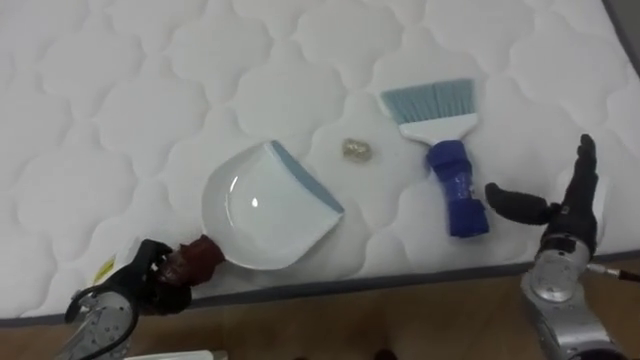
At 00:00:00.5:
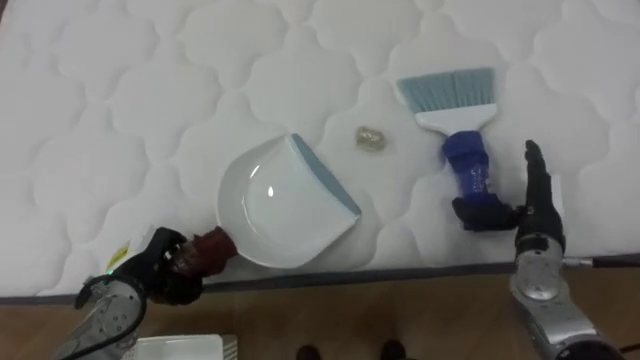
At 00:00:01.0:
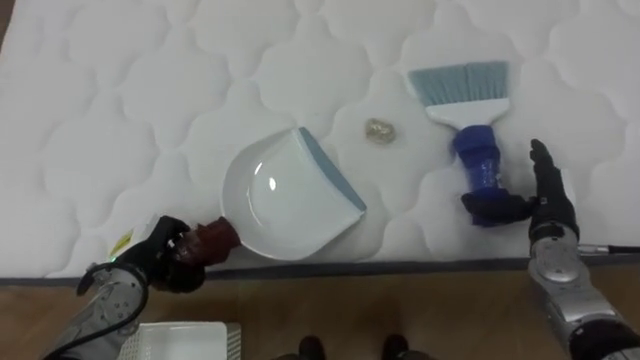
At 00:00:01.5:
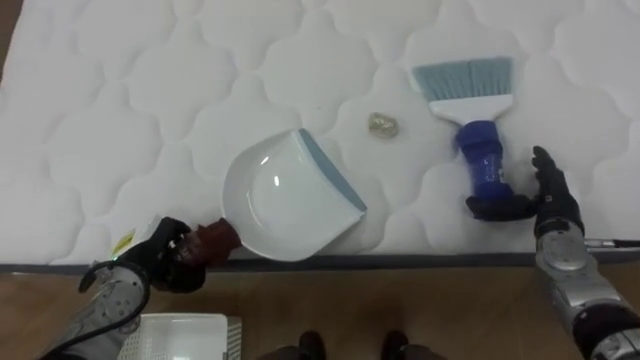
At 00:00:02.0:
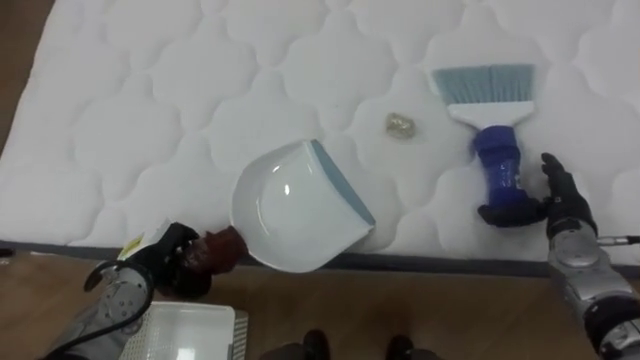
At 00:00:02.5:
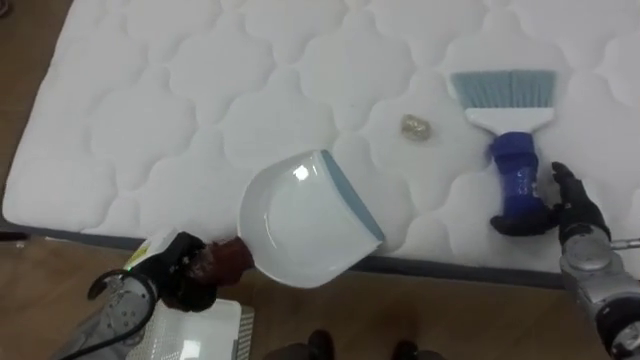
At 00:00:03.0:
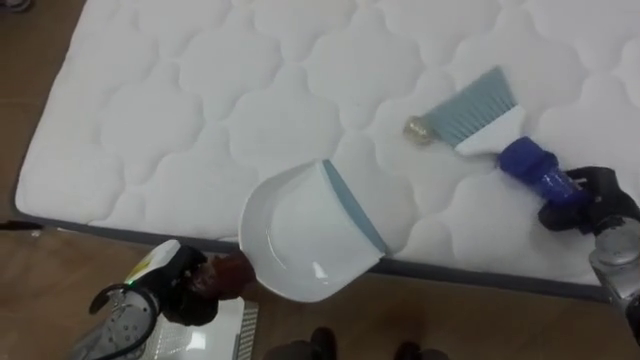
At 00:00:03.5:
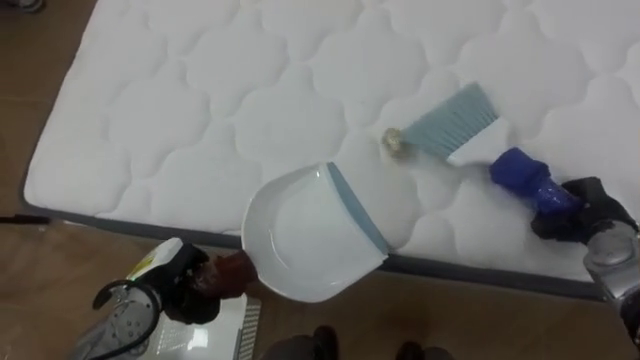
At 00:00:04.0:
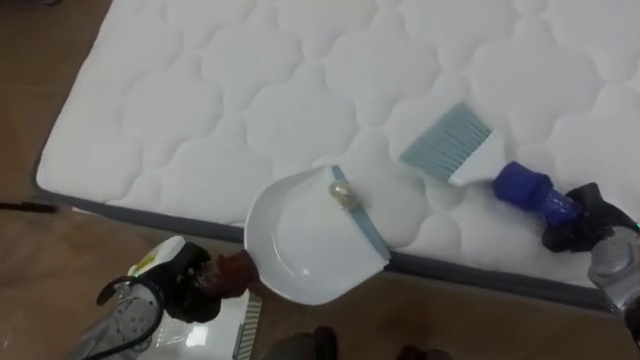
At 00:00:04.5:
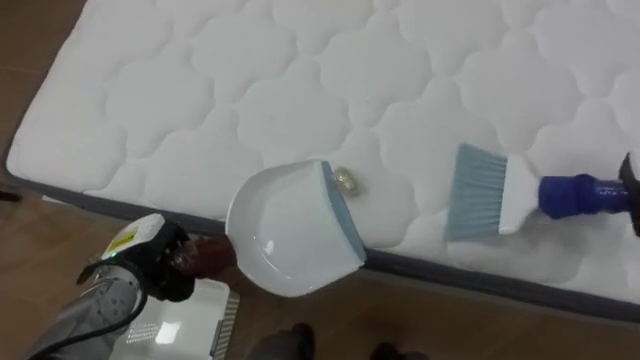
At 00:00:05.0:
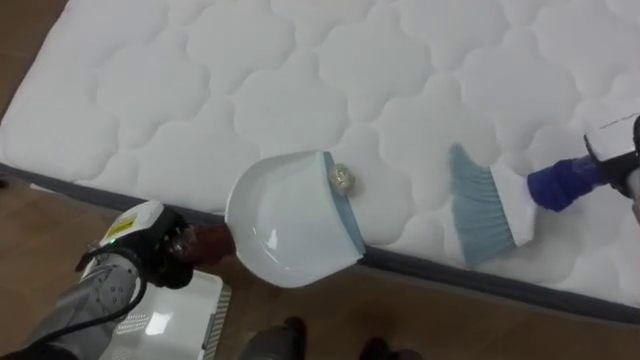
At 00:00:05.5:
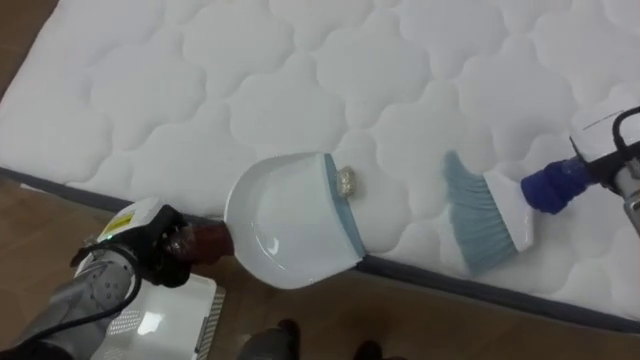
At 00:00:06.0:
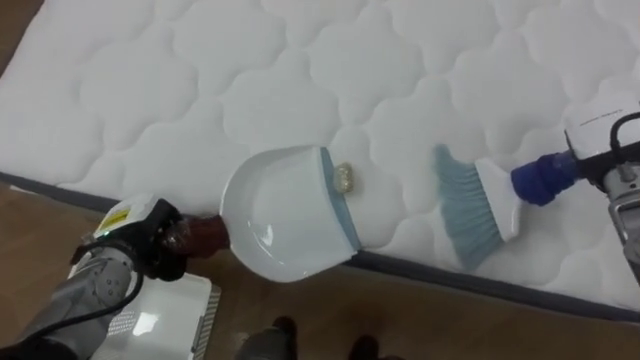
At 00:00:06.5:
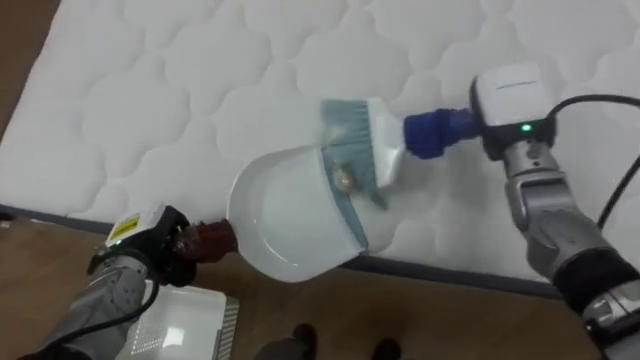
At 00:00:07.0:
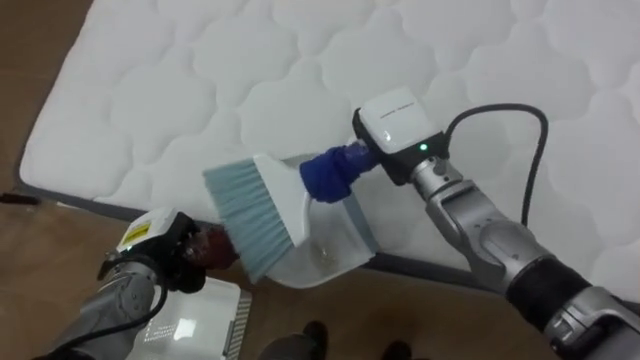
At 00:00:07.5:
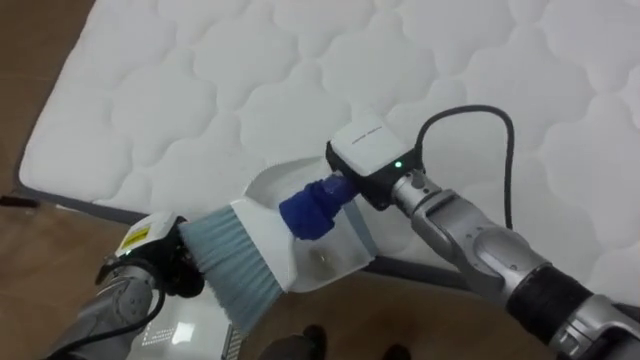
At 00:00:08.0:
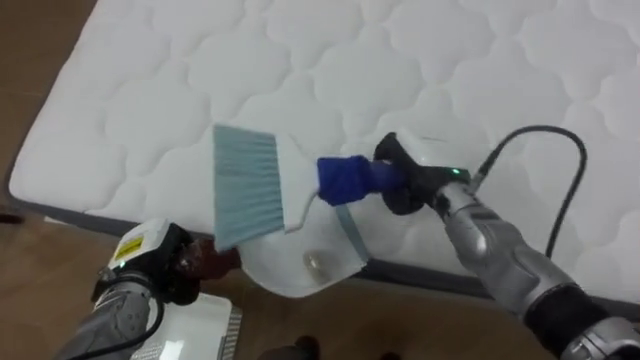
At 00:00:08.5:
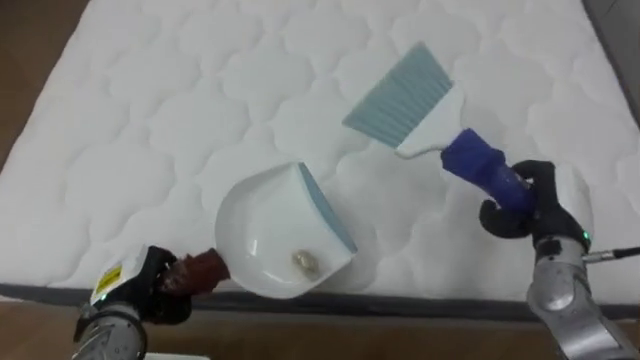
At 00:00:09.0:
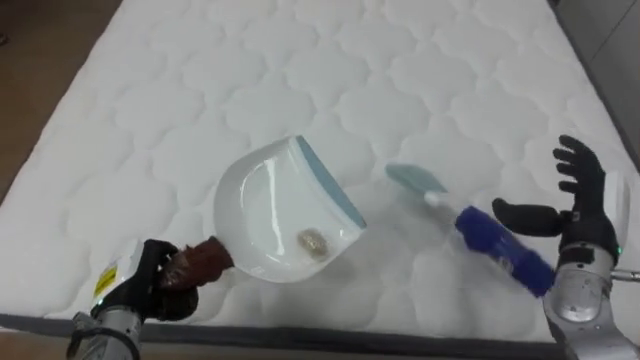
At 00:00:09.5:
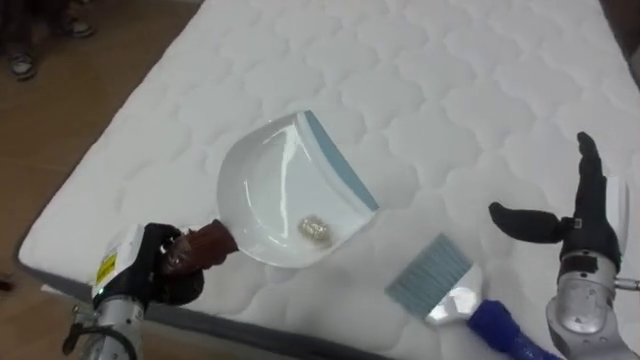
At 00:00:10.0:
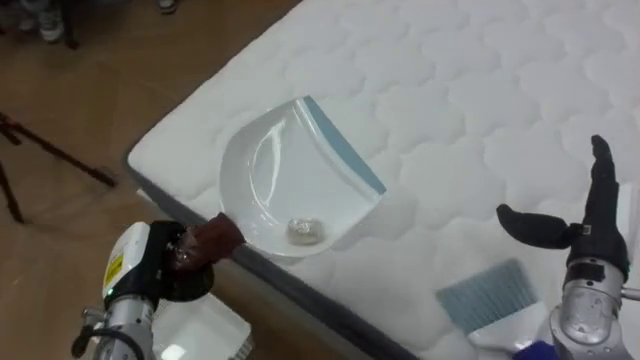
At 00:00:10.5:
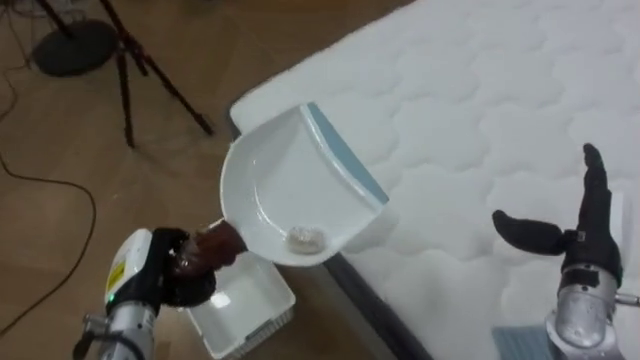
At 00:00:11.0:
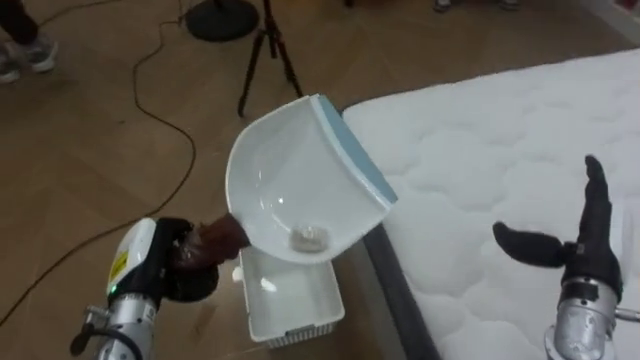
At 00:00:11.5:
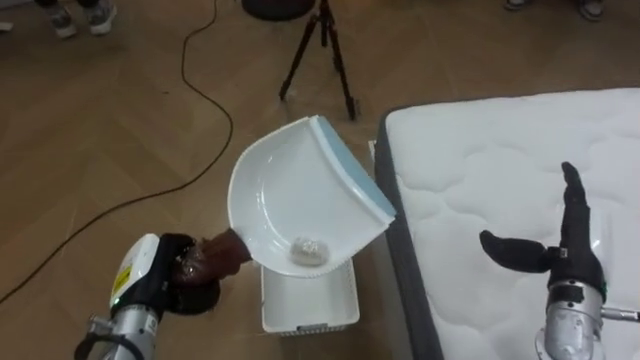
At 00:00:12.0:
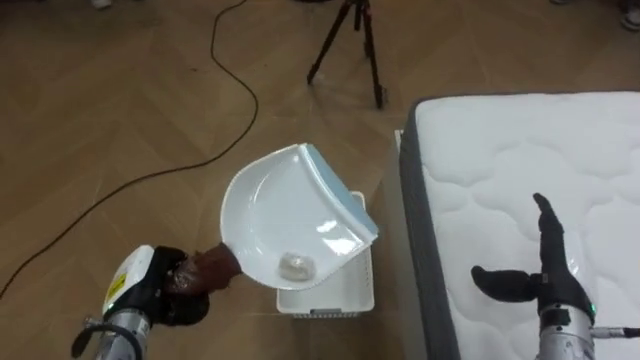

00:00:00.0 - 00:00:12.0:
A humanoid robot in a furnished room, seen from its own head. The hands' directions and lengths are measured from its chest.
Task of the whole recording: Pick up the brush on your right and the dustpan on your left. Use the brush to sweep the crumpled paper on the bed into the dustpan, then turn left and empty it into the basket.
00:00:02.0 - 00:00:04.0: The right hand goes about 5 cm to the right, and closes.
00:00:04.0 - 00:00:06.0: The left hand is displaced upward by about 5 cm.
00:00:06.0 - 00:00:08.0: The right hand is displaced to the left by roughly 25 cm.
00:00:08.0 - 00:00:10.0: The robot faces approximately 25 degrees further to its left. The right hand moves to the right and backward, approximately 25 cm, and opens up; the left hand shifts by approximately 5 cm.
00:00:10.0 - 00:00:12.0: The robot rotates approximately 60 degrees to its left. The right hand heads downward, covering some 5 cm.

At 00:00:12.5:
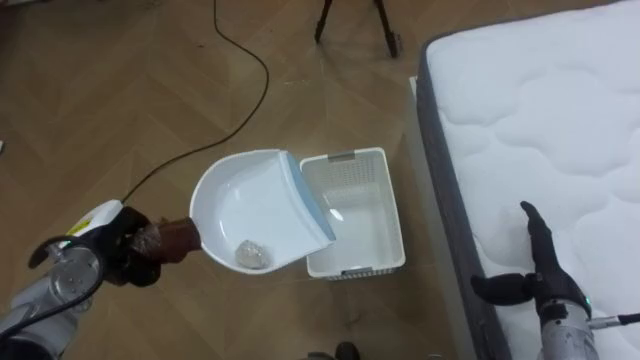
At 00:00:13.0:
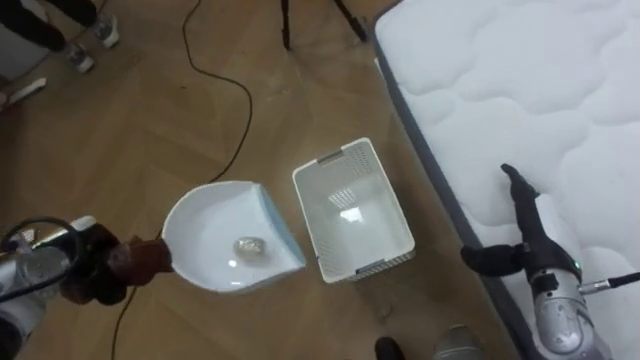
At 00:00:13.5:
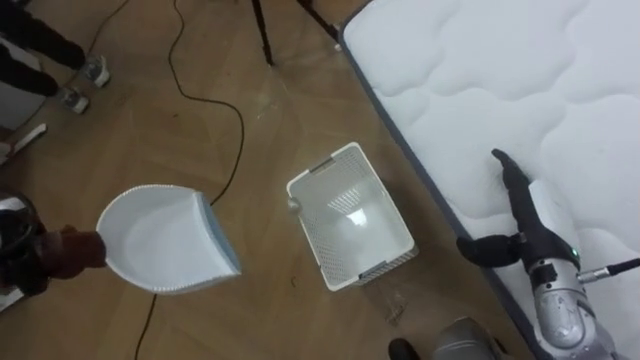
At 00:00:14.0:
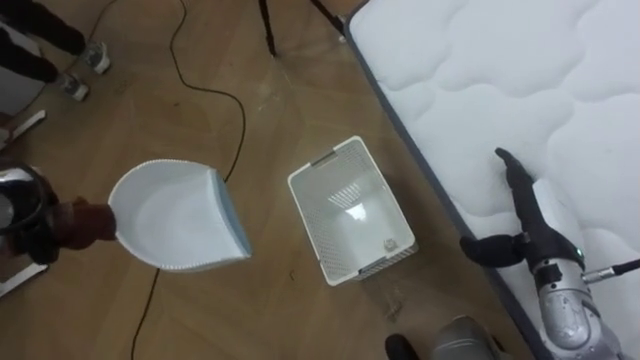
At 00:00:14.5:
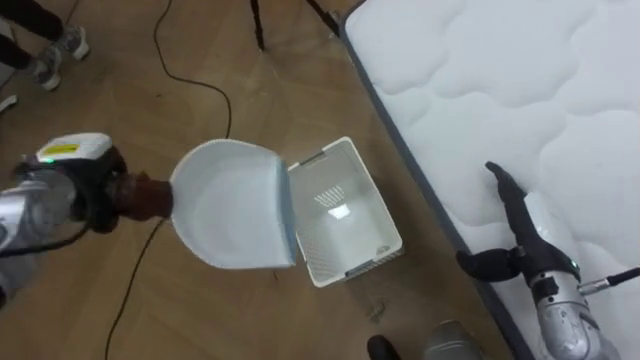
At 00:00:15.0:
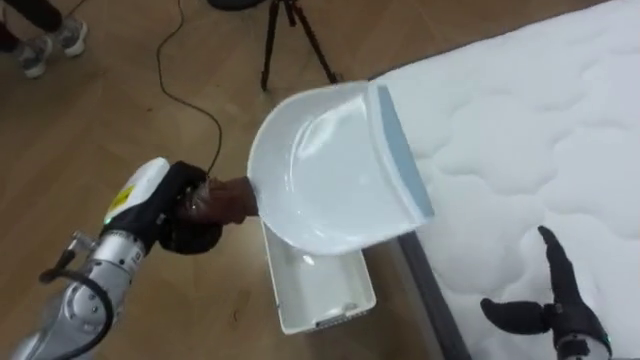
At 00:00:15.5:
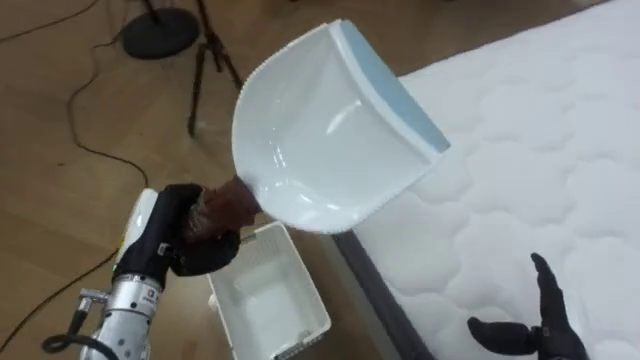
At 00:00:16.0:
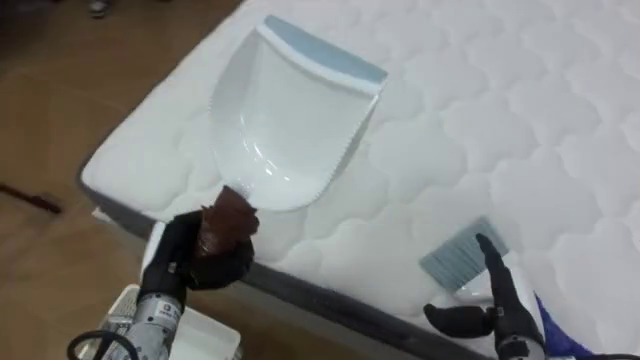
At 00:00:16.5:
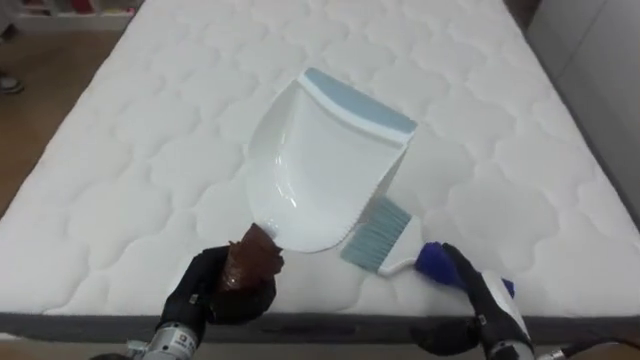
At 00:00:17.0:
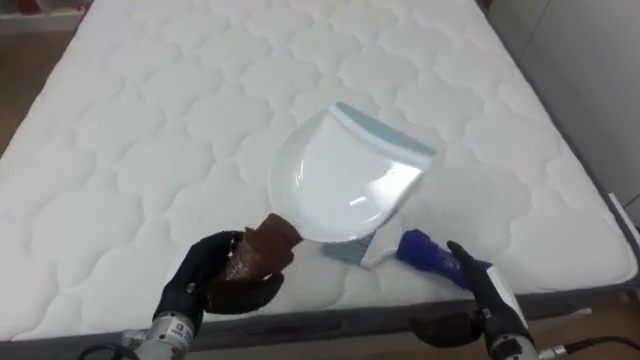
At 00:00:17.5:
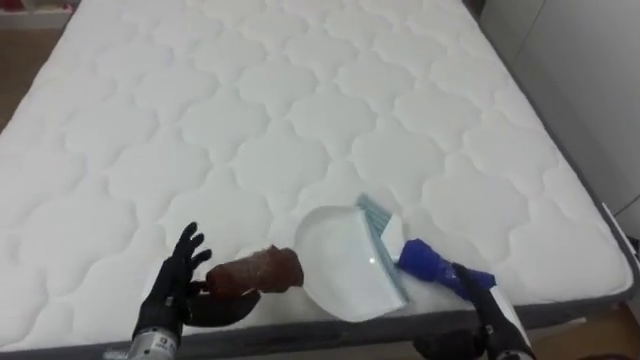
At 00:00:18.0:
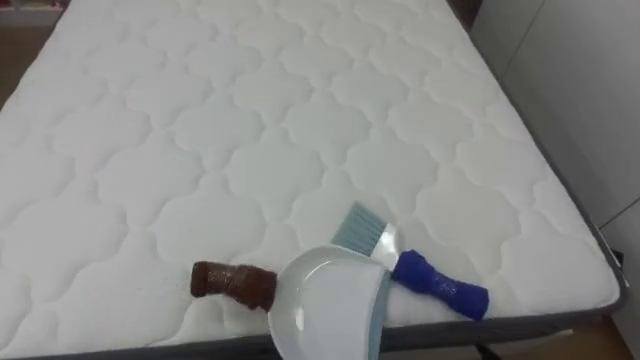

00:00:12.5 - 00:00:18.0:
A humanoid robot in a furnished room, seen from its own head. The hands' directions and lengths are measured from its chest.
Task of the whole recording: Pick up the brush on your right and the dustpan on your left. Use the brush to sweep the crumpled paper on the bed into the dustpan, then turn left and empty it into the basket.
00:00:12.5 - 00:00:14.5: The right hand moves some 5 cm.
00:00:14.5 - 00:00:16.0: The robot turns to its right by roughly 65 degrees. The right hand travels downward and backward by about 10 cm, while the left hand heads to the right, backward and downward, covering some 15 cm.
00:00:16.0 - 00:00:18.0: The robot rotates approximately 30 degrees to its right.

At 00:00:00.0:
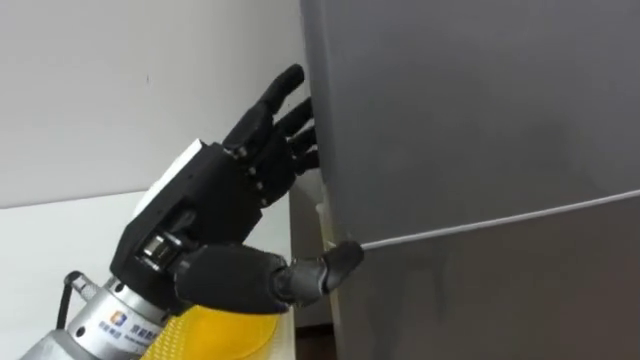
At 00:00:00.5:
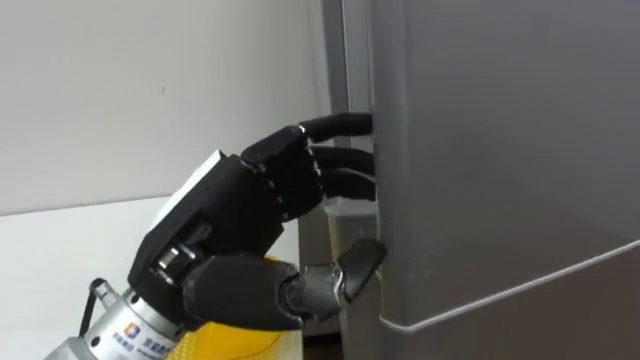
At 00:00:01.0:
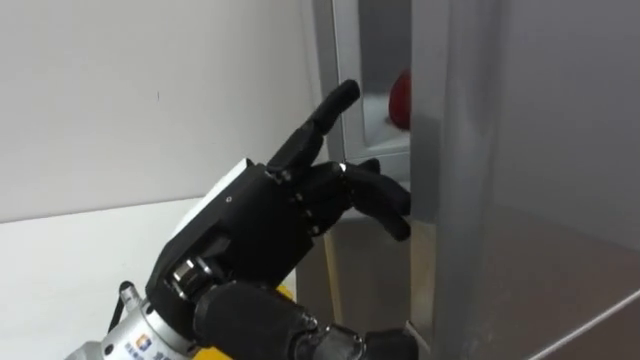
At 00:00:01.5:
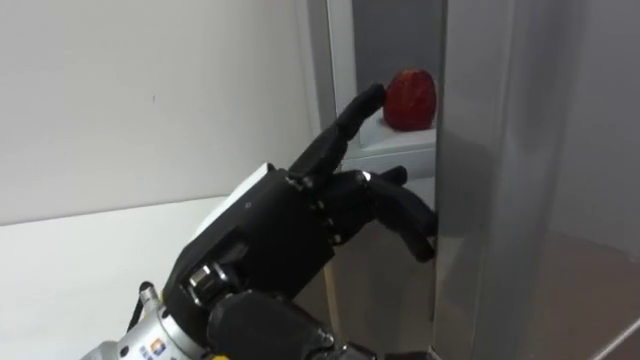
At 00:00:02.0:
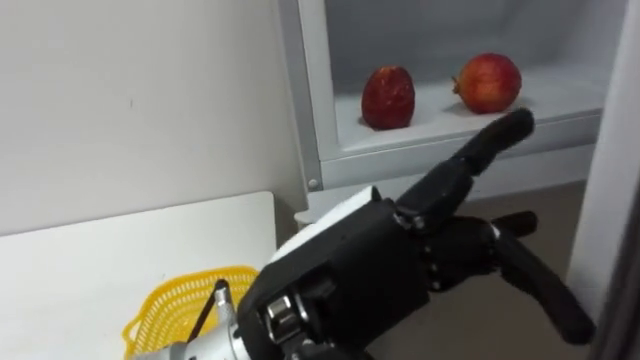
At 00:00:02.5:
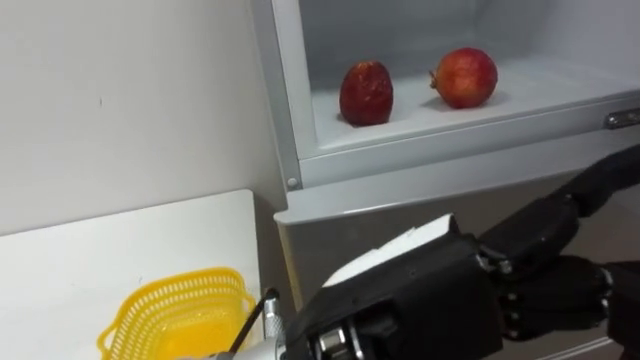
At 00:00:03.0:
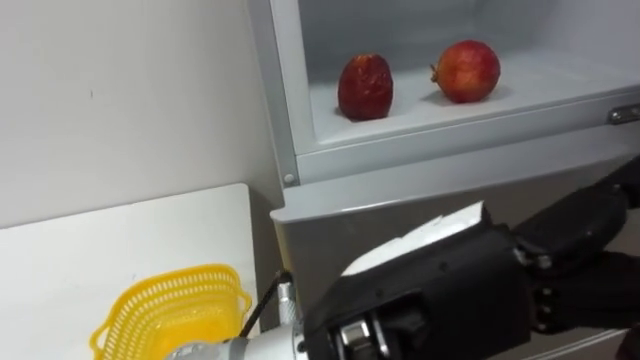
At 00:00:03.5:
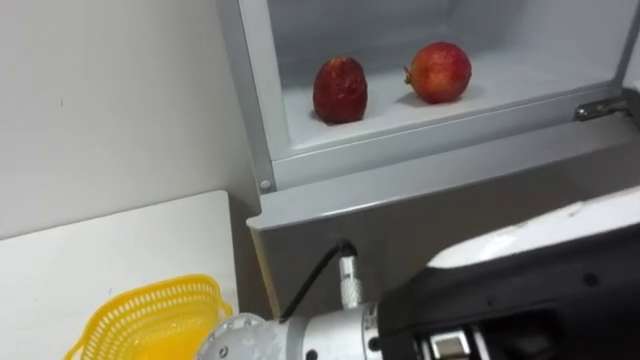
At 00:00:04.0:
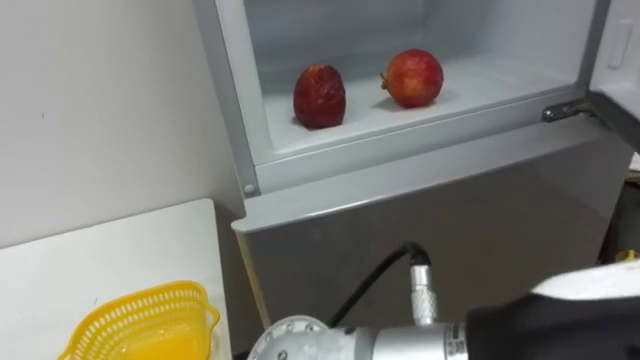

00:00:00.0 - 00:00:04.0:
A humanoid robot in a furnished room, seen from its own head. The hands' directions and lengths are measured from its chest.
Task of the whole recording: Open the refrigerator door, take out the apple and the pomegranate, place them in the fruit basket on the left, and close the refrigerator door.
00:00:00.0 - 00:00:02.0: The left hand shifts roughly 10 cm to the right and backward.
00:00:02.0 - 00:00:04.0: The left hand is displaced to the right, backward and upward by some 15 cm.
